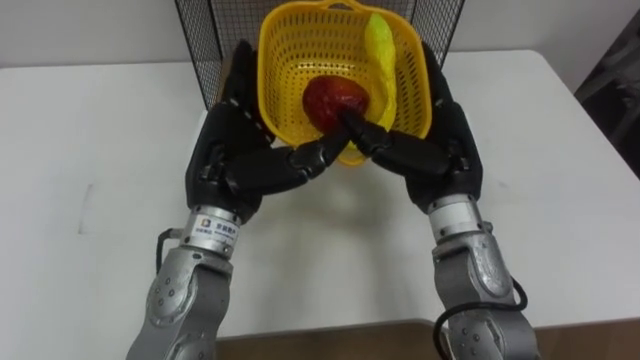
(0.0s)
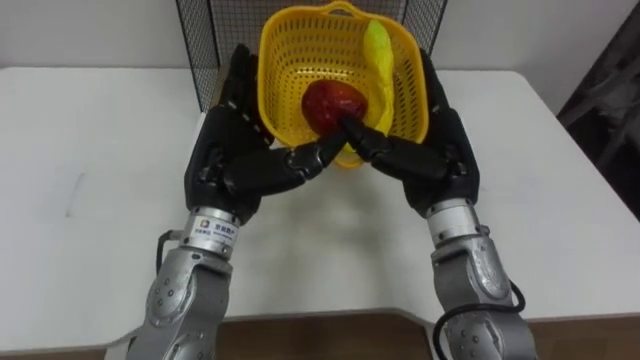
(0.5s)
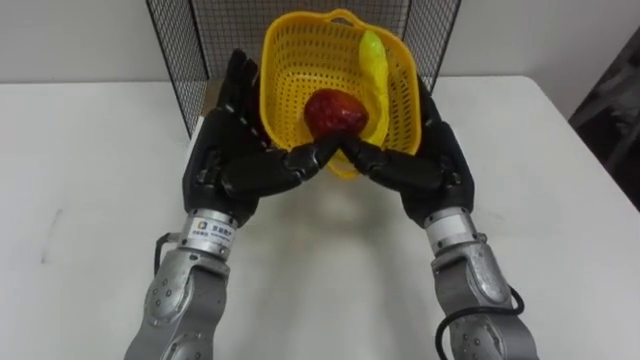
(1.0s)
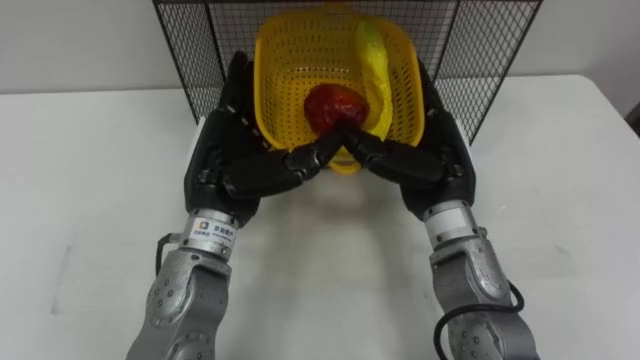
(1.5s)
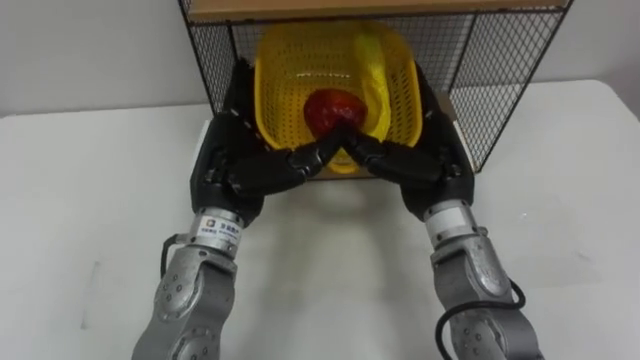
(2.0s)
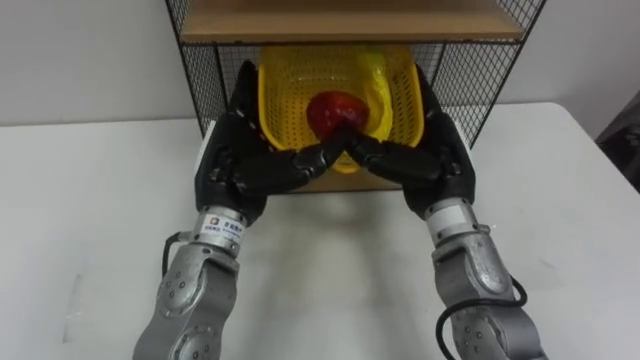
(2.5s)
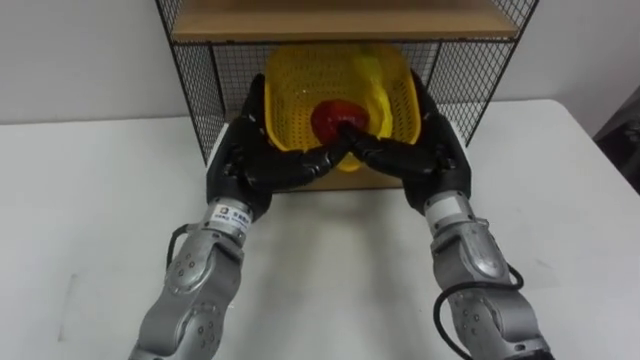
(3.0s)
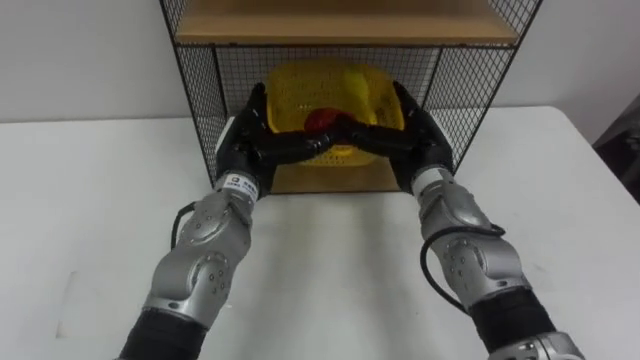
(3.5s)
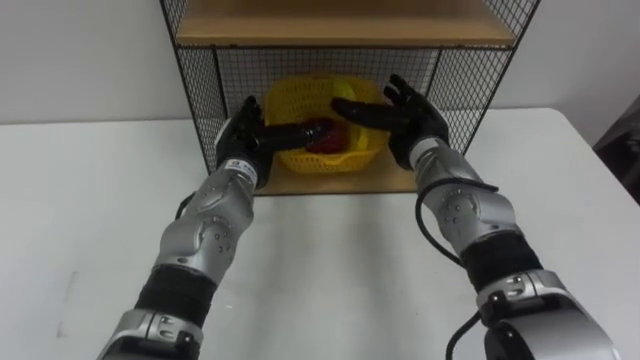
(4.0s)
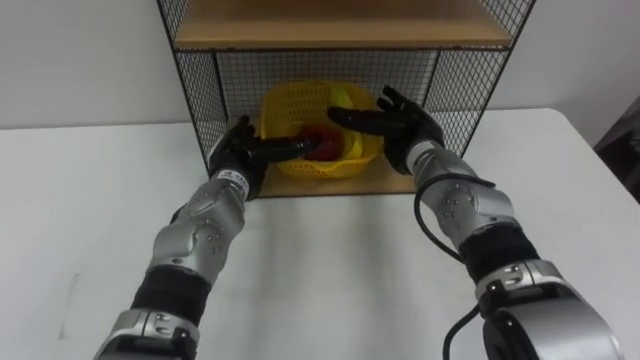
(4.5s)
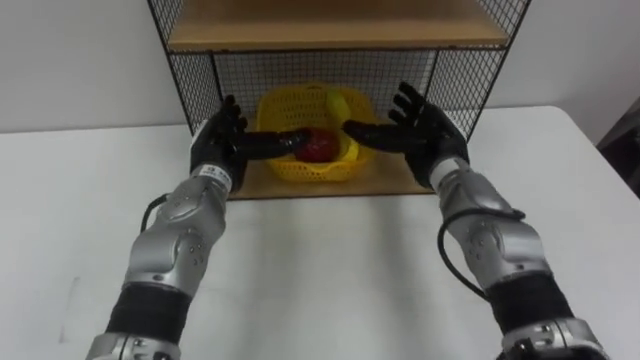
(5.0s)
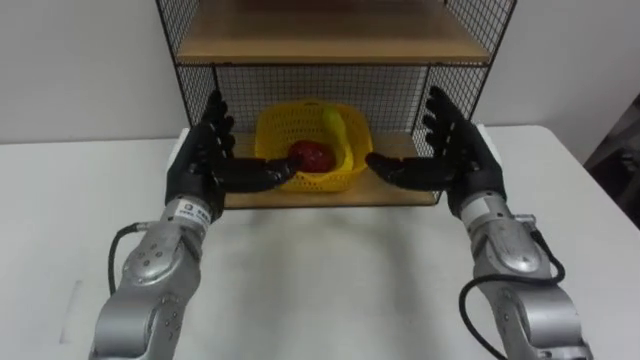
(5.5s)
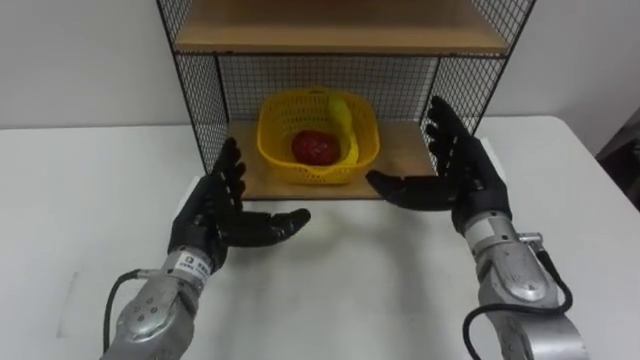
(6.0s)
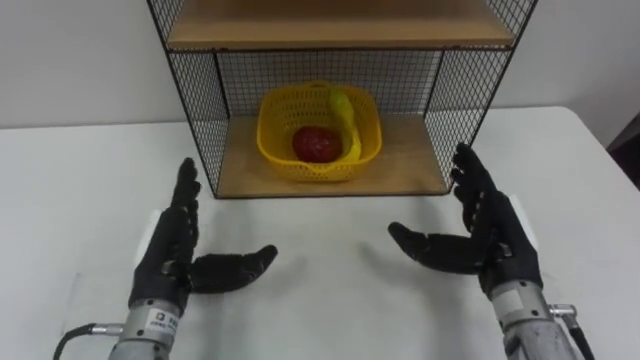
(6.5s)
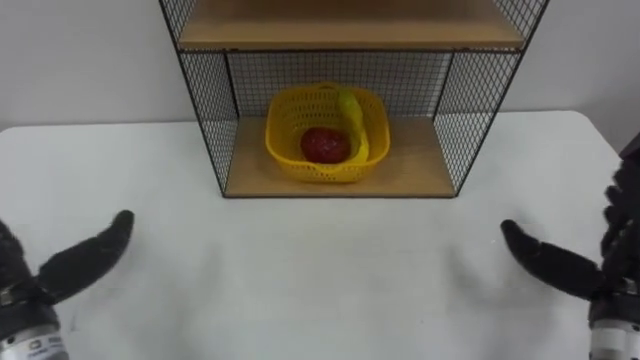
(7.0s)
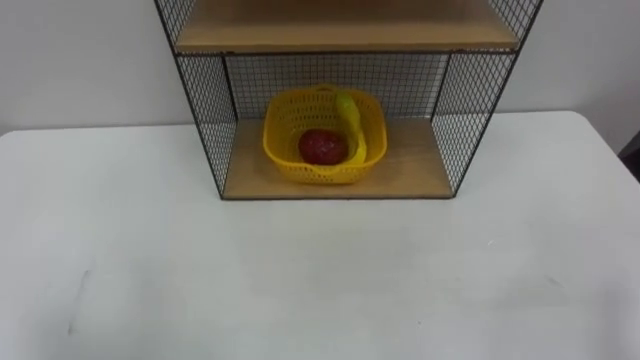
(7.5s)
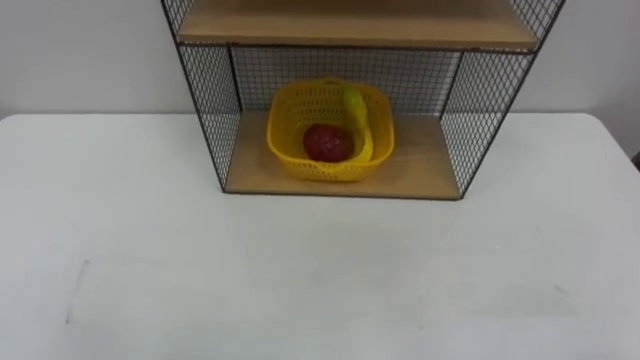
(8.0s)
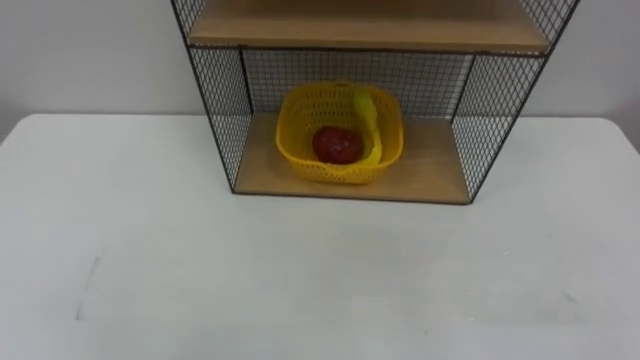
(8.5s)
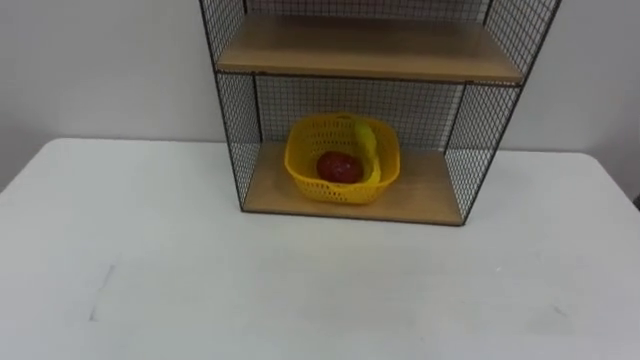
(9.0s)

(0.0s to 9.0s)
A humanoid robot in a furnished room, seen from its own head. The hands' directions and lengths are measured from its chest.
Task of the whole recording: Put the fruit on the table into the basket, then place the basket on the shelf.
2.0s - 4.5s: The left hand goes about 10 cm downward and forward, while the right hand goes roughly 10 cm forward and downward.
4.5s - 7.0s: The left hand heads backward and to the left, covering roughly 30 cm; the right hand travels backward and to the right by roughly 30 cm.

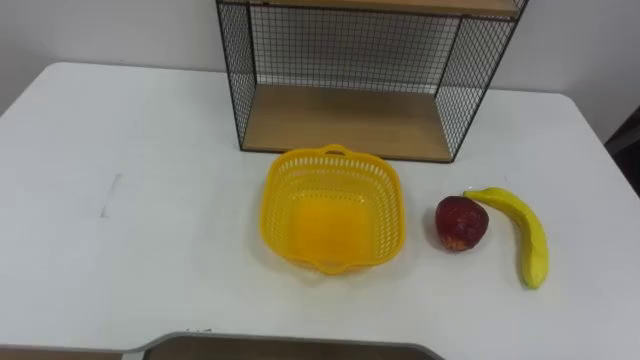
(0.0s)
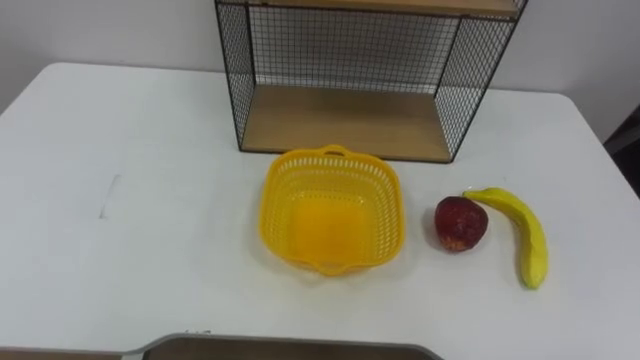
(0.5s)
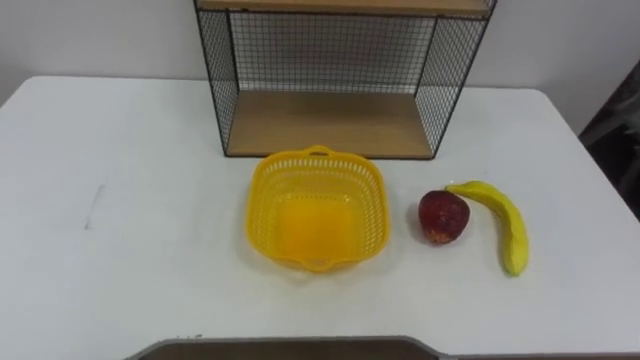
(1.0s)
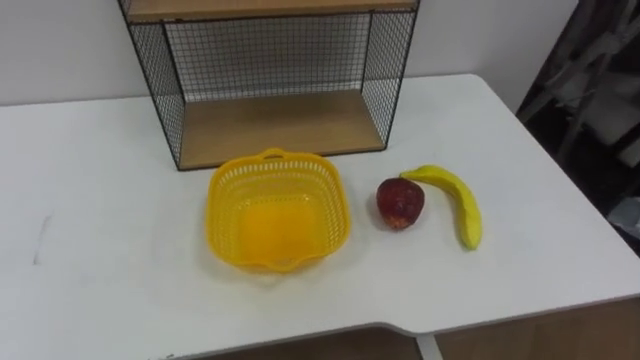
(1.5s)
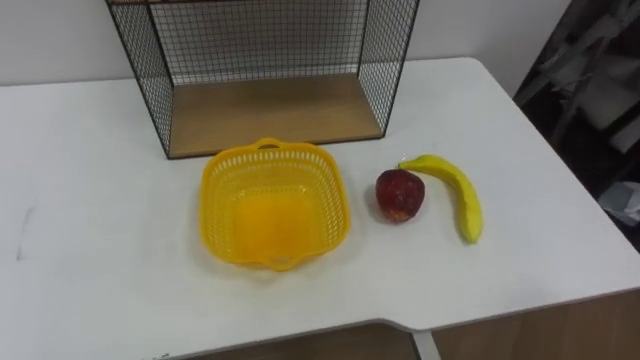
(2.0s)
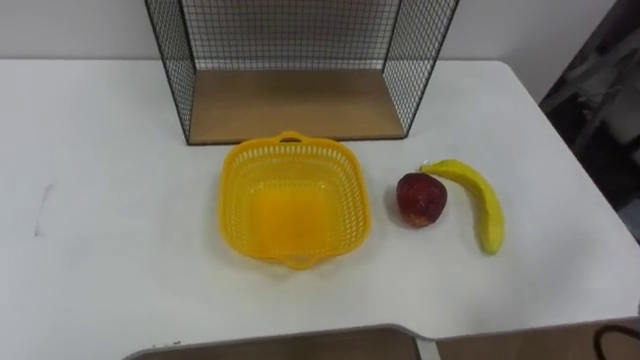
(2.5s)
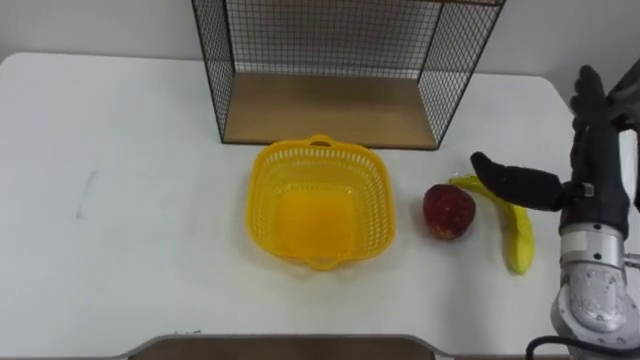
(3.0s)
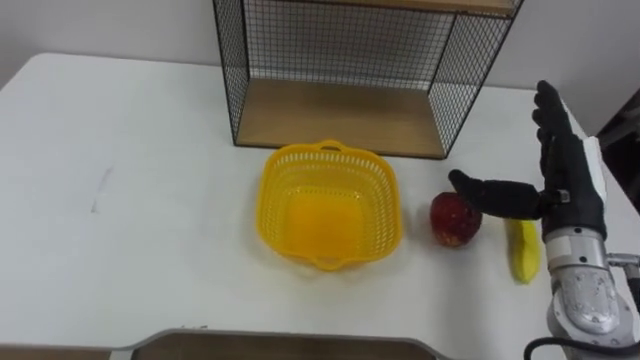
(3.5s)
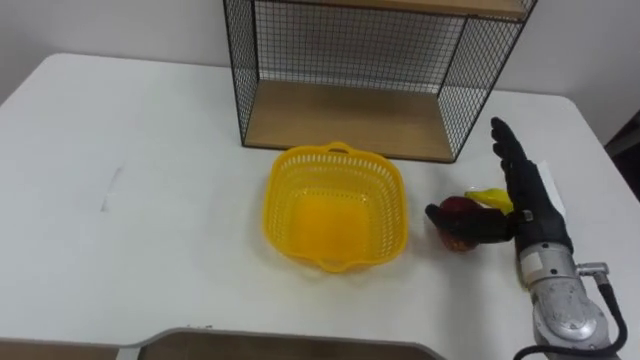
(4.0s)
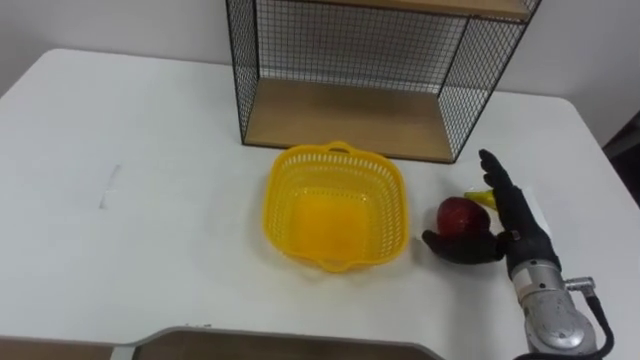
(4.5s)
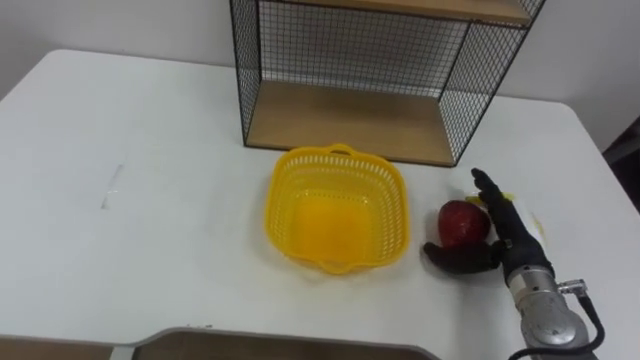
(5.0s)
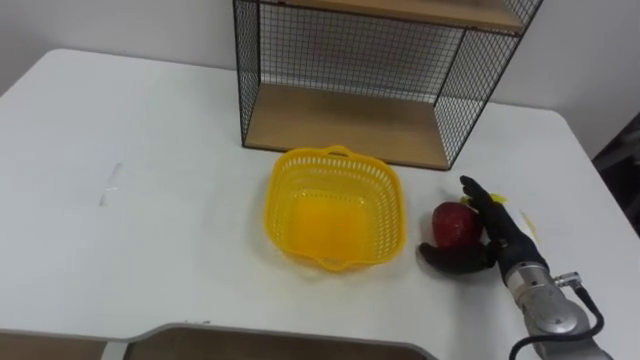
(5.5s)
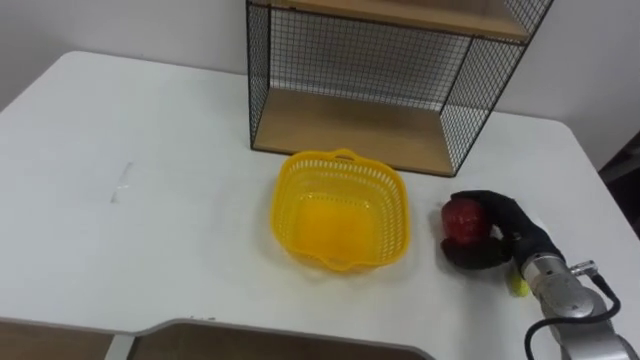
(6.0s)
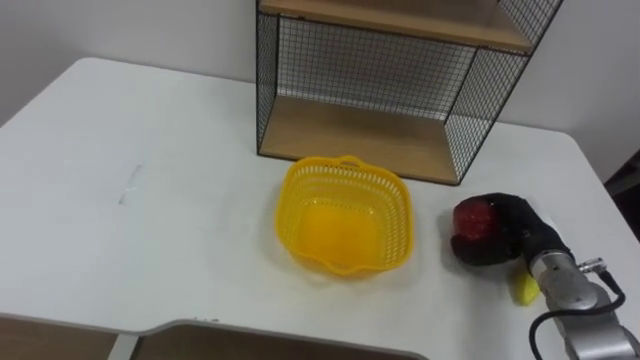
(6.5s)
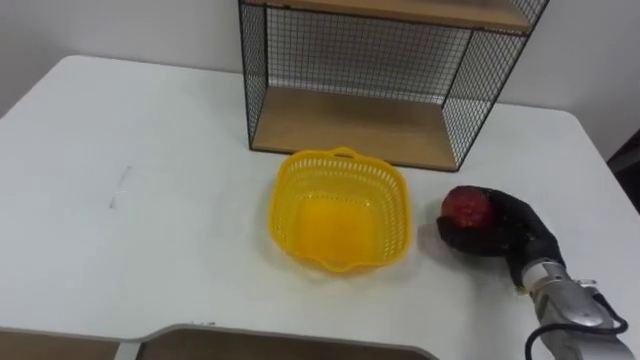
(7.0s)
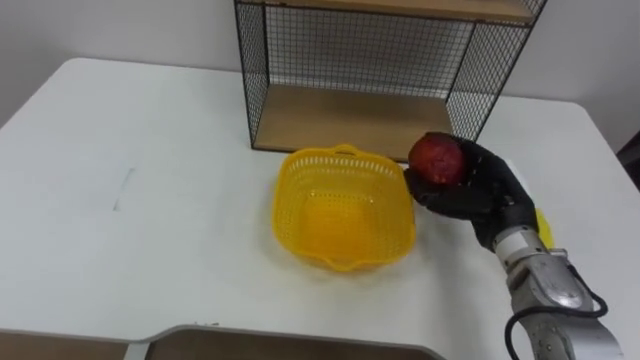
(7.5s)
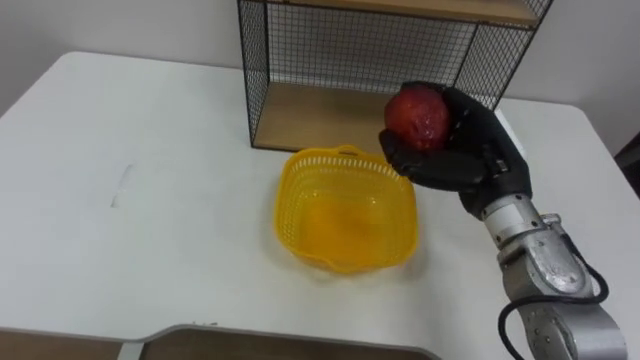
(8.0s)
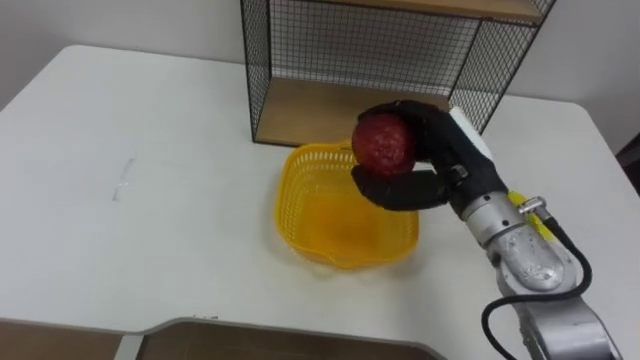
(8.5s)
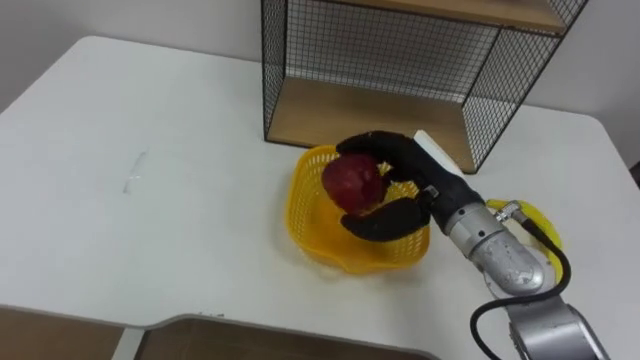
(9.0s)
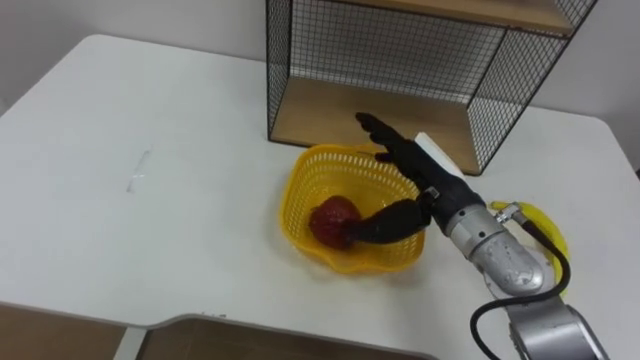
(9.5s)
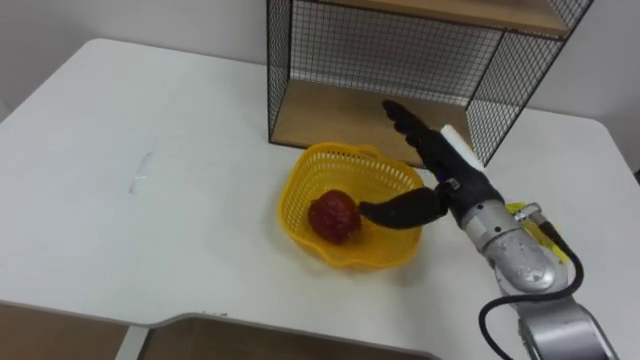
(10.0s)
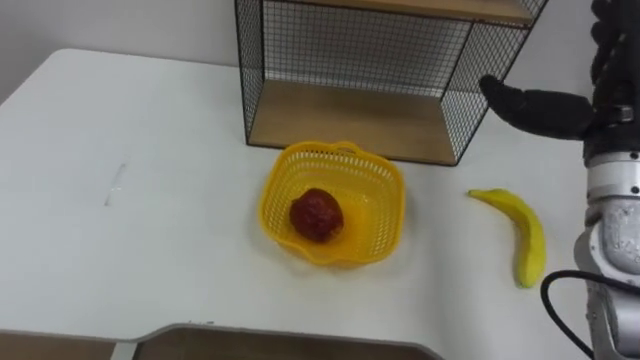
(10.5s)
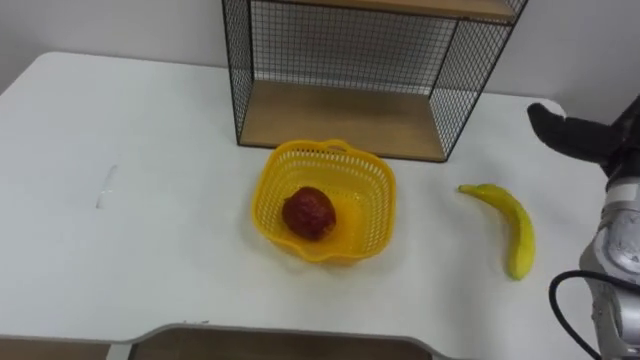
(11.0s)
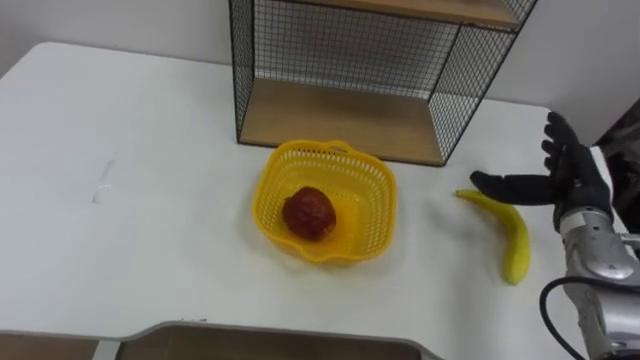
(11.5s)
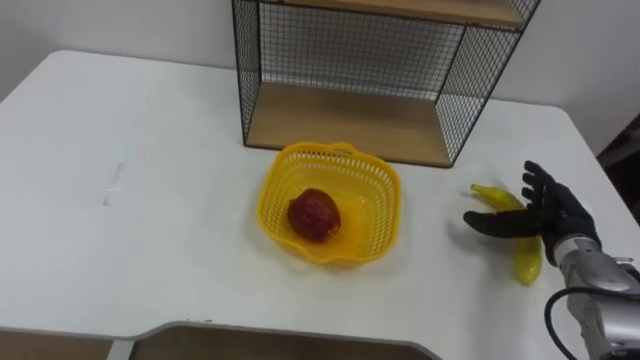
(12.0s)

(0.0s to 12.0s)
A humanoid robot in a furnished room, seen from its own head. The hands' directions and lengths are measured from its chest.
Task of the whole recording: Put the fruit on the table into the basket, then place the basket on the shelf.
4.0s - 6.0s: The right hand goes about 10 cm downward.
6.0s - 8.0s: The right hand travels upward and to the left by roughly 15 cm.
8.0s - 10.0s: The right hand opens up.
